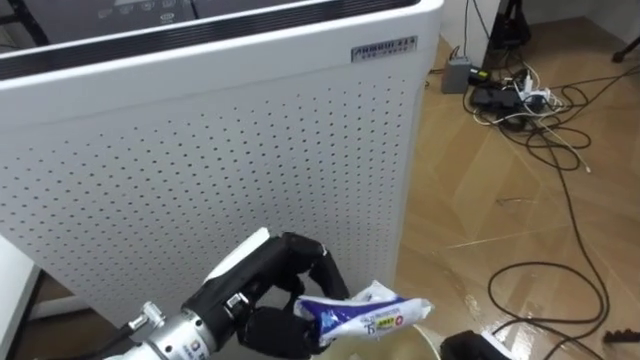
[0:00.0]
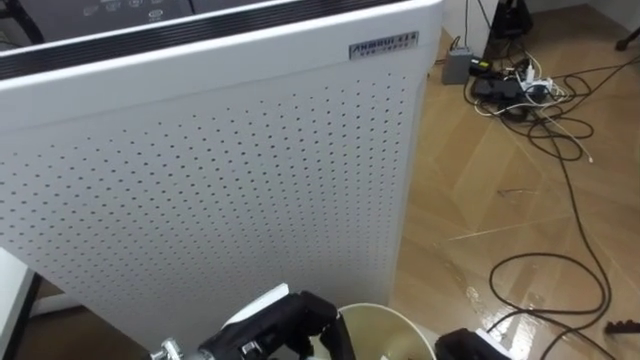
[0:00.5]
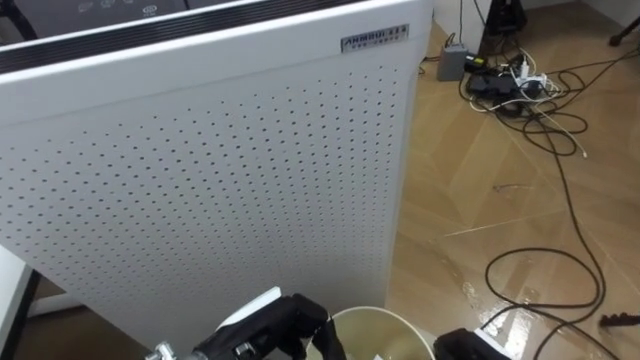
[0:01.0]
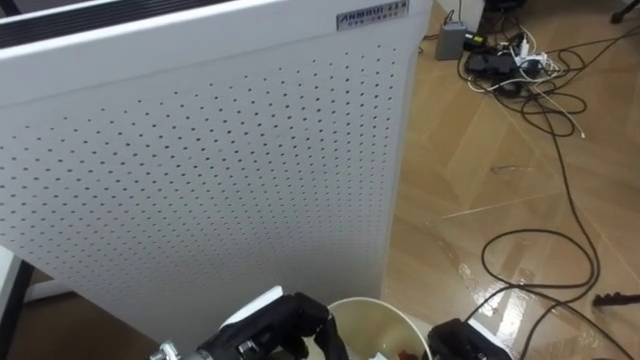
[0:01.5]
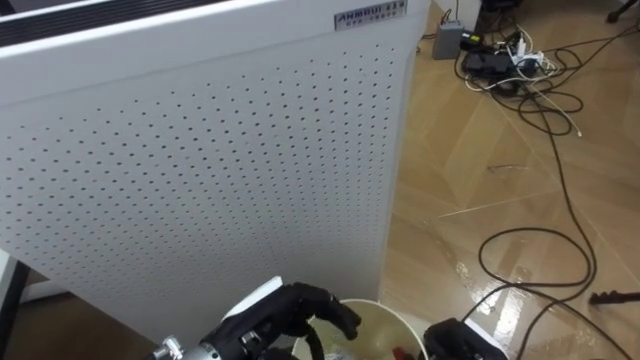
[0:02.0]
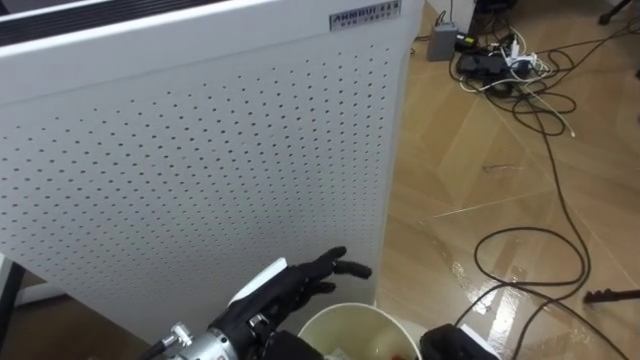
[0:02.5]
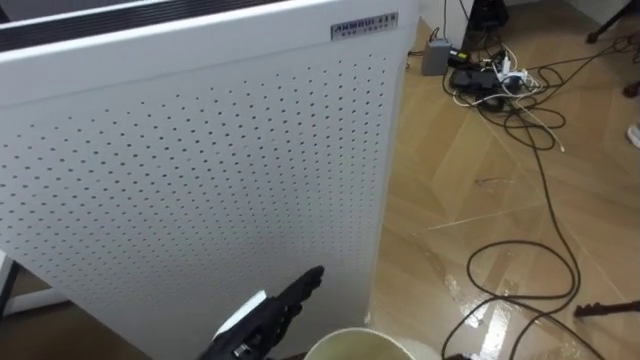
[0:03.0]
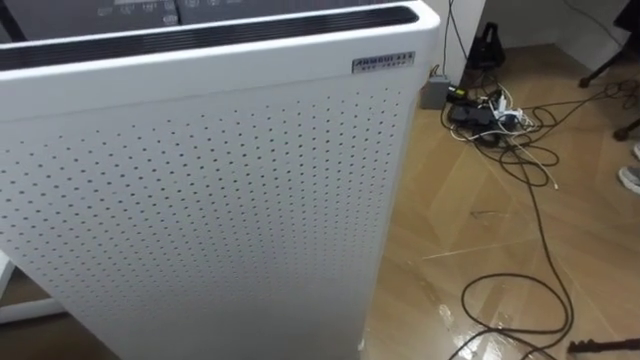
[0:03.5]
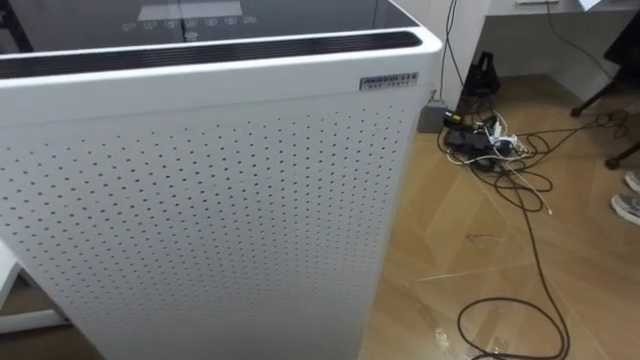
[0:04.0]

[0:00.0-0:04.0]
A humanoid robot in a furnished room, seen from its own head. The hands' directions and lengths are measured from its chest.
Task of the whole recording: Pick up the light blue package, the candy box, and the dark blue package separately, and put them into the trash can held in your right hand.
0:00.0 to 0:02.0: The left hand travels downward by roughly 5 cm.

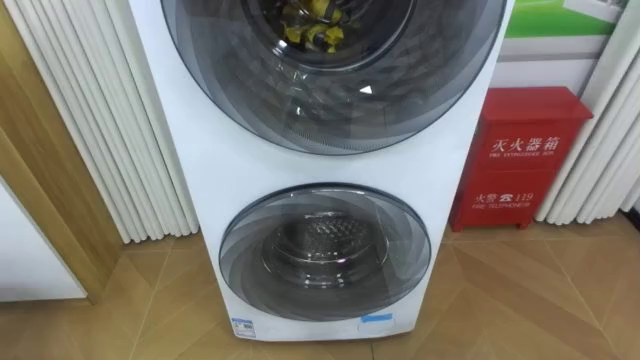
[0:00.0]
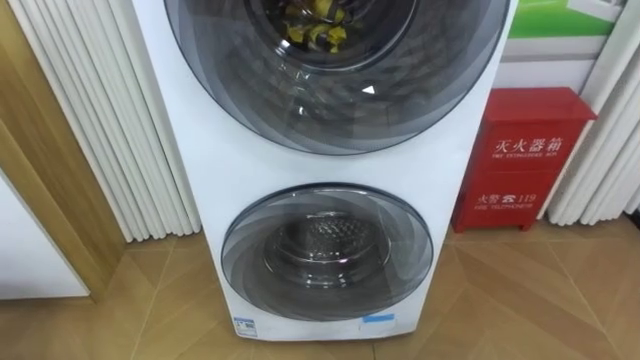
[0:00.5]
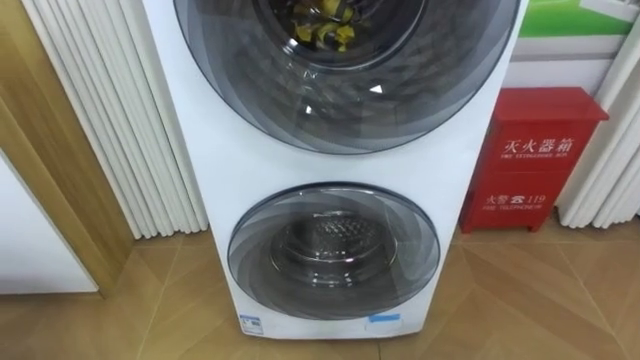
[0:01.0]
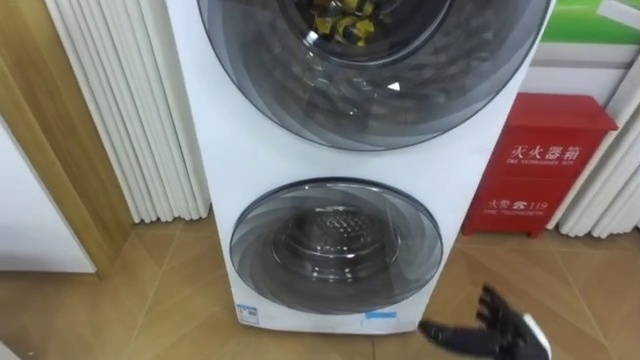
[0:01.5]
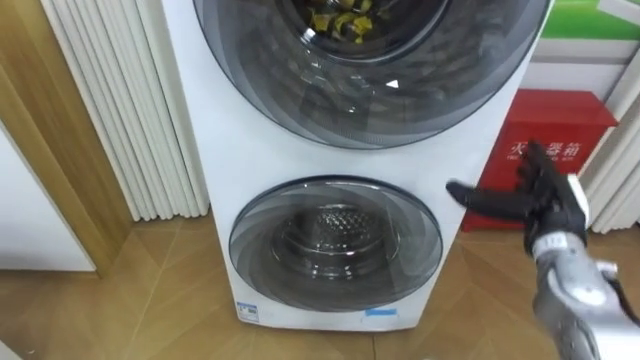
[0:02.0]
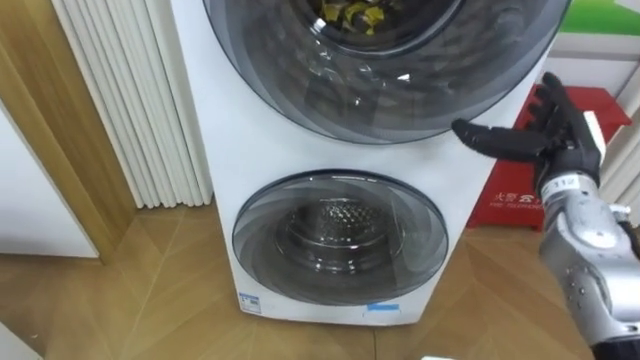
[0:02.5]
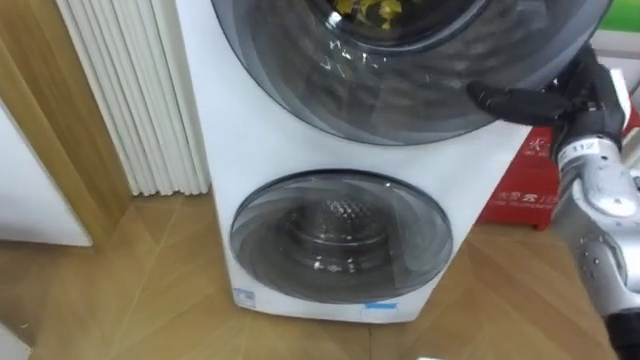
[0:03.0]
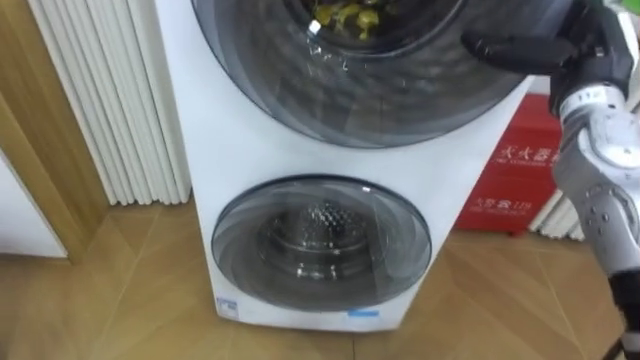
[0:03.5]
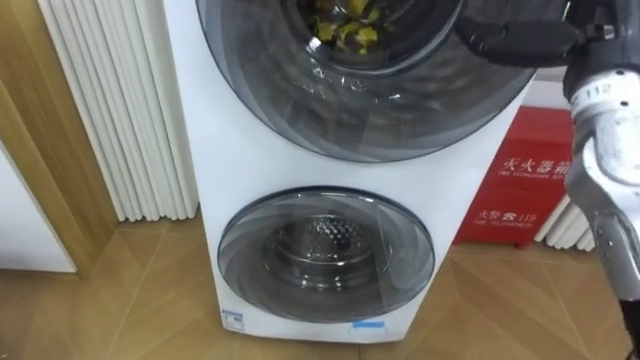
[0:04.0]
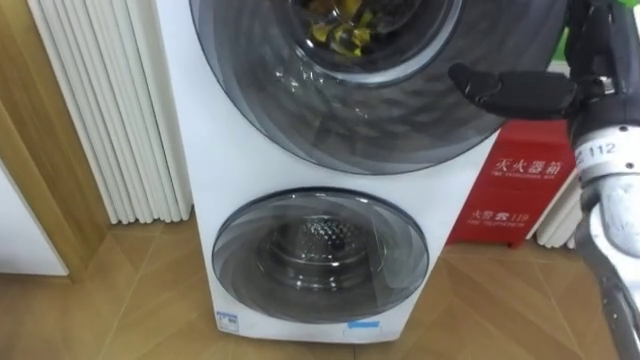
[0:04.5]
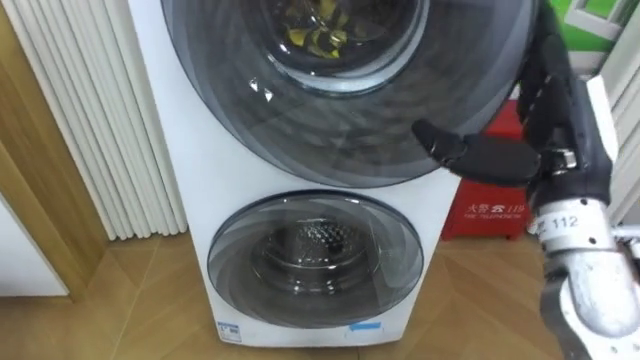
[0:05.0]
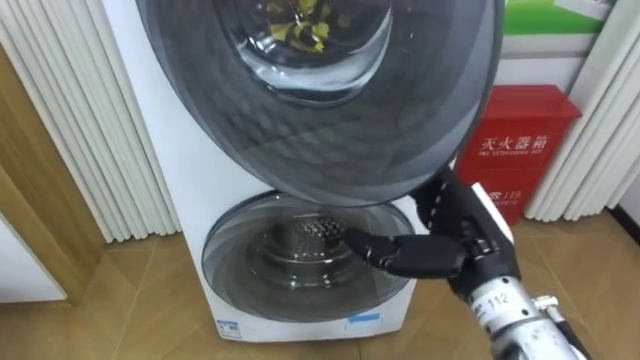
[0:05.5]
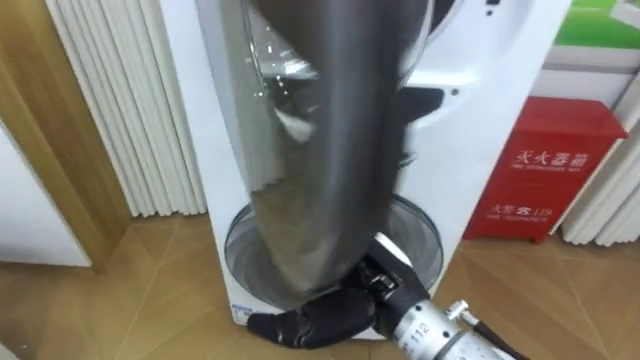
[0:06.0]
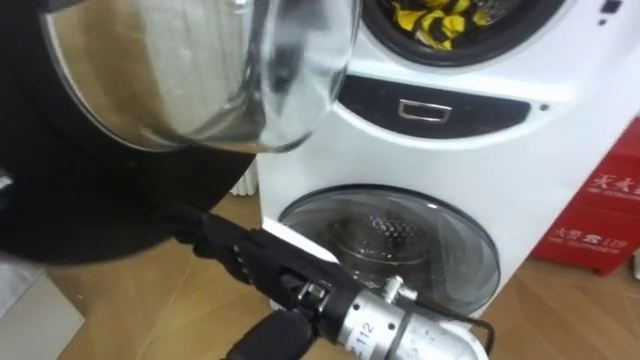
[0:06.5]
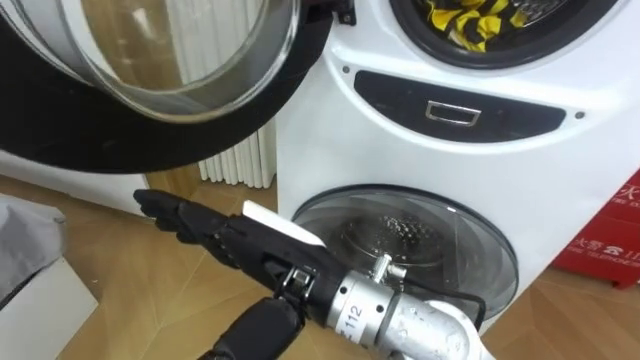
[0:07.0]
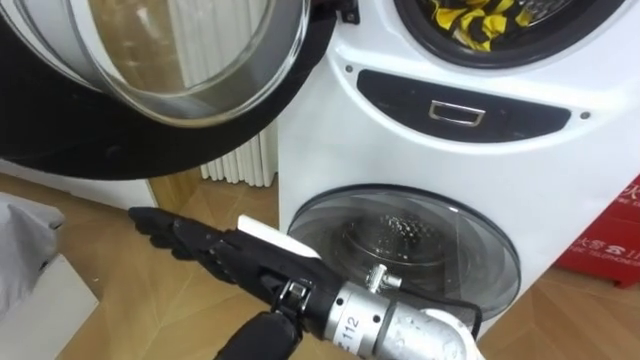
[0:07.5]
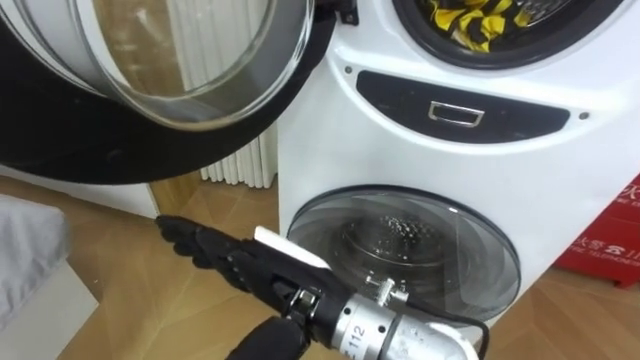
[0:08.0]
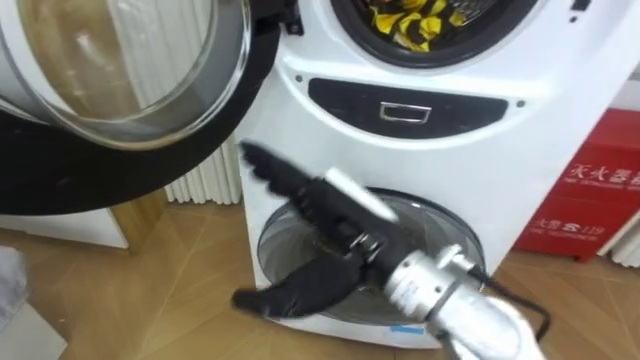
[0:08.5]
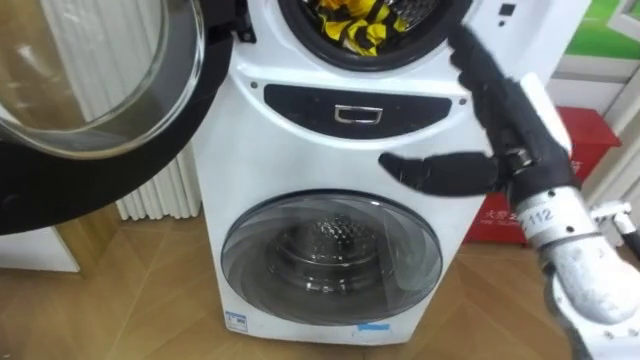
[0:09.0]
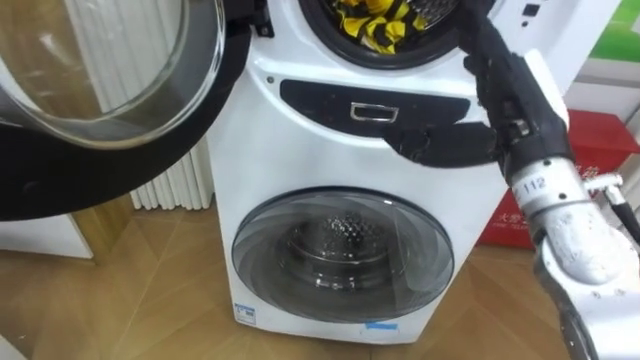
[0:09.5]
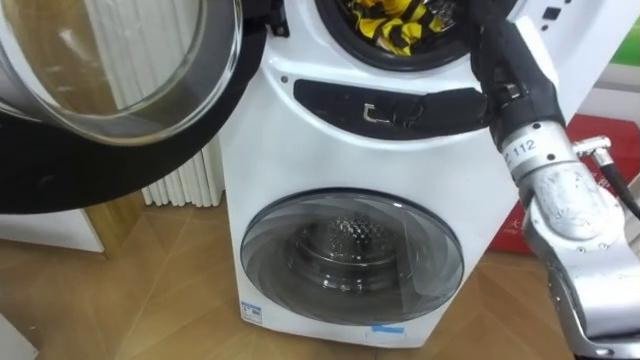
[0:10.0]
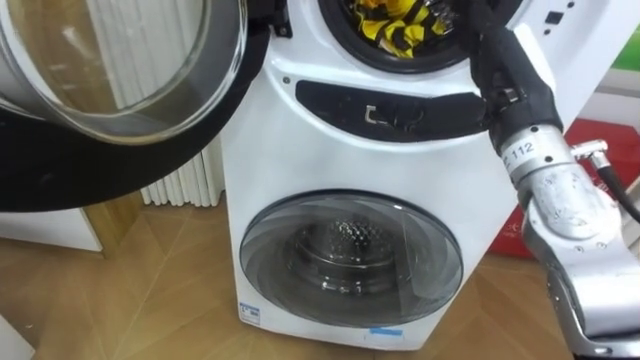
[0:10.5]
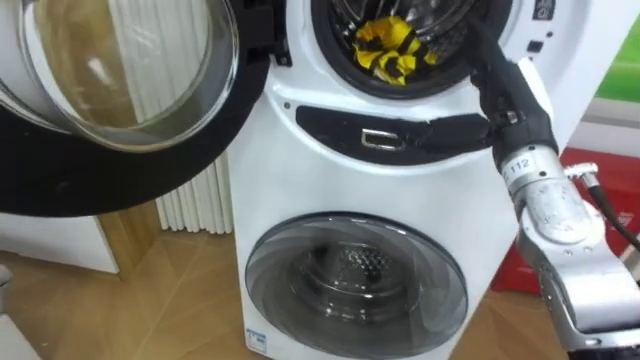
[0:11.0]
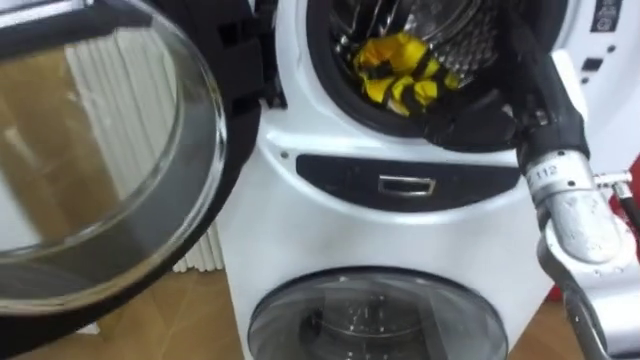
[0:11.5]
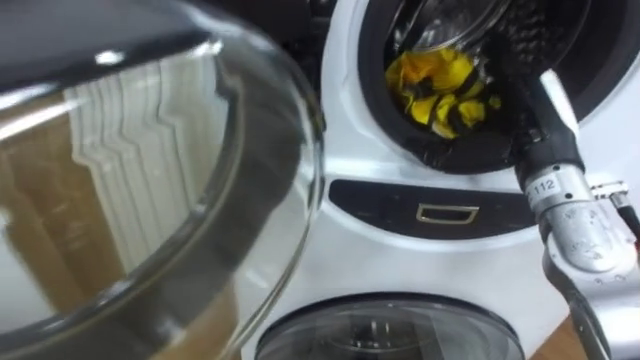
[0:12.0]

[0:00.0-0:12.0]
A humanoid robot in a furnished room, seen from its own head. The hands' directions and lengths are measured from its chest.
Task of the whole recording: Open the washing machine door, take out the yellow clothes, place them in the box on the right, and close the washing machine door.
0:02.0 to 0:04.0: The right hand travels upward by about 20 cm.
0:04.0 to 0:06.0: The right hand goes approximately 30 cm to the left, downward and backward.
0:06.0 to 0:08.0: The right hand is displaced to the left by some 10 cm.
0:08.0 to 0:10.0: The right hand is displaced to the right, forward and upward by some 25 cm.
0:10.0 to 0:12.0: The right hand goes about 5 cm downward.

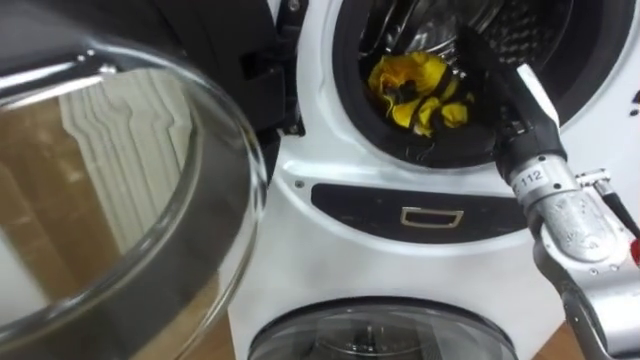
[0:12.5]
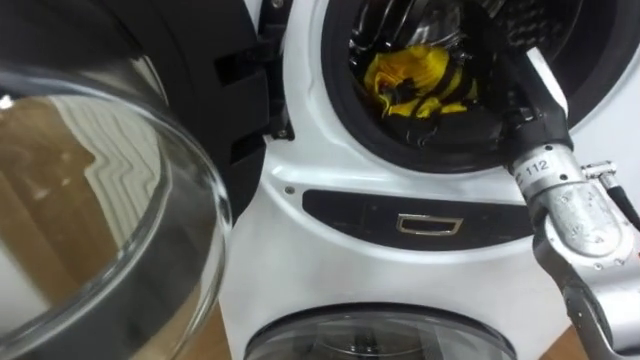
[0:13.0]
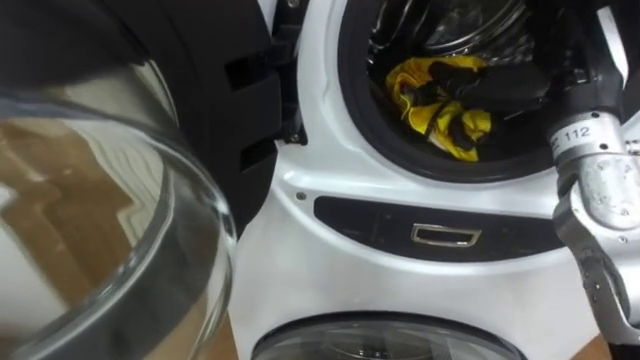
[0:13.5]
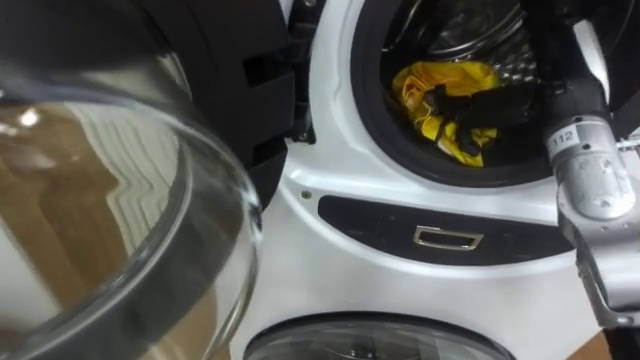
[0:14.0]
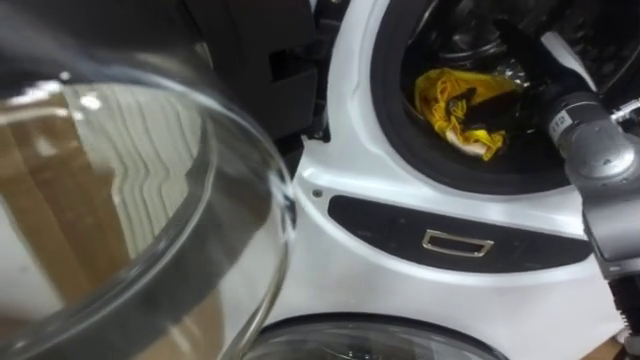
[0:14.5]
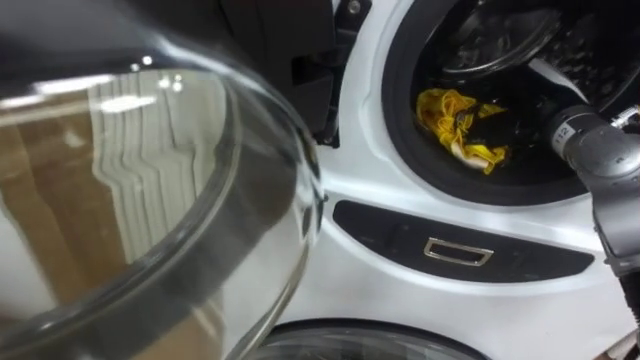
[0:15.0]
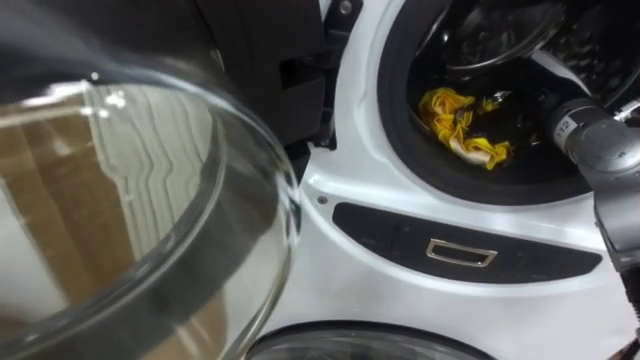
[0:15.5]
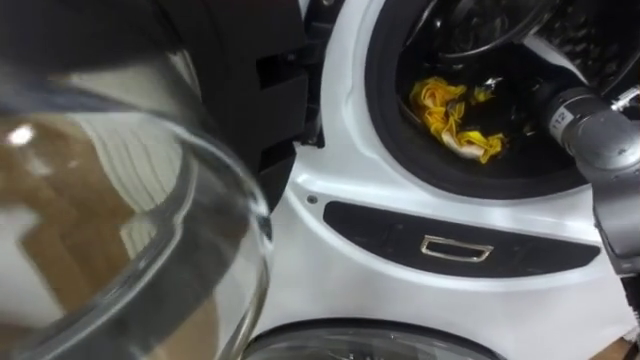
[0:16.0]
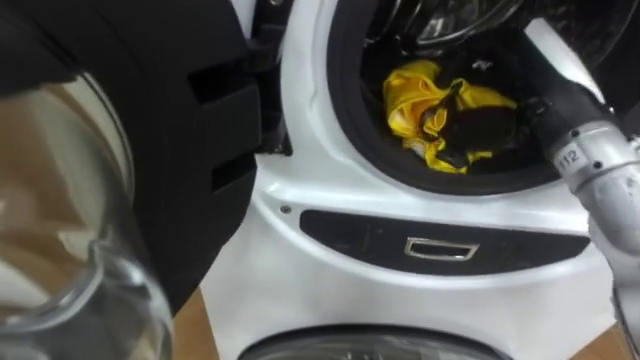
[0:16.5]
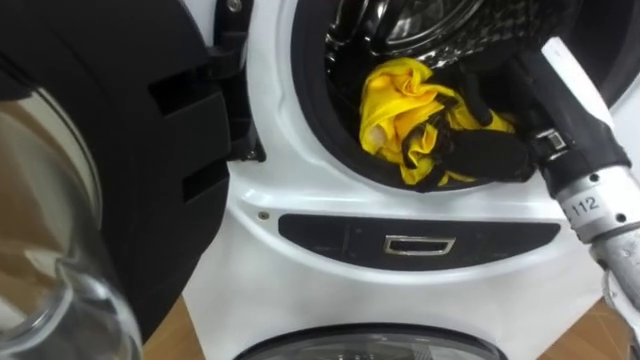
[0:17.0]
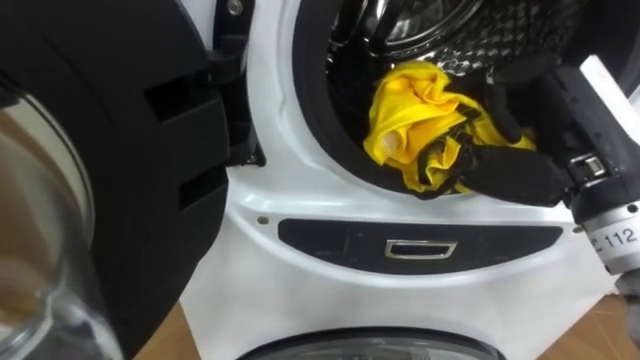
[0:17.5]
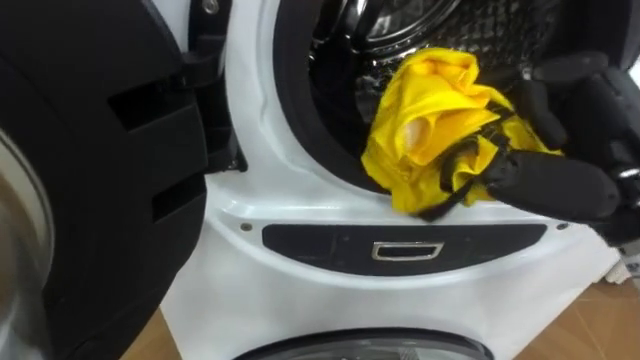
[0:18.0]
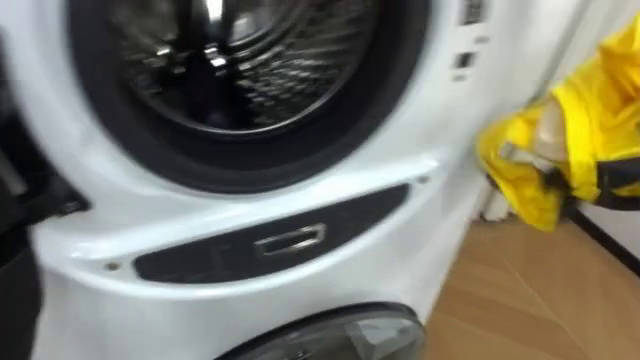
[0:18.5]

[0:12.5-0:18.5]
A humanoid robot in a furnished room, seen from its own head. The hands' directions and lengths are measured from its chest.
Task of the whole recording: Open the washing machine door, take out the yellow clothes, place them in the box on the right, and close the washing machine door.
0:12.5 to 0:14.5: The right hand goes roughly 5 cm forward.
0:14.5 to 0:16.5: The right hand heads backward, covering about 5 cm, and closes its fingers.
